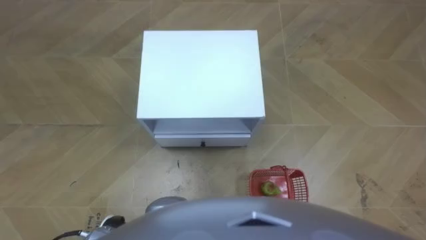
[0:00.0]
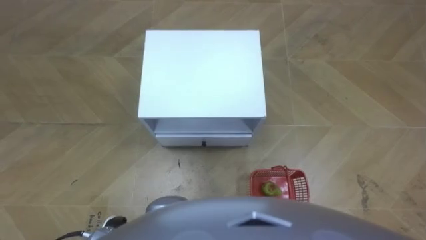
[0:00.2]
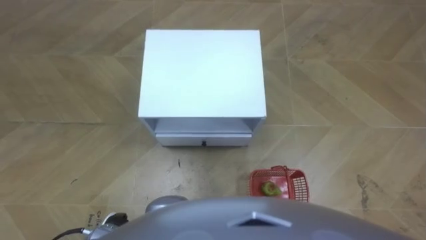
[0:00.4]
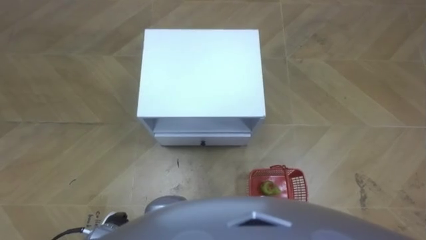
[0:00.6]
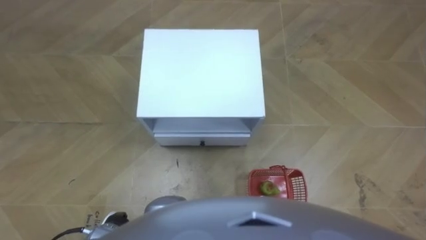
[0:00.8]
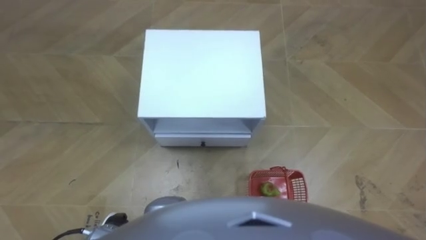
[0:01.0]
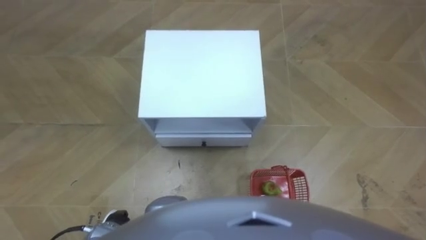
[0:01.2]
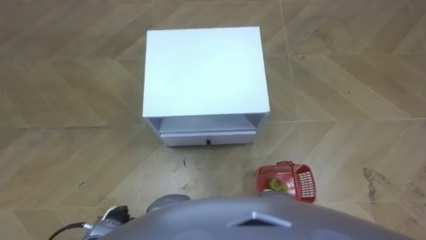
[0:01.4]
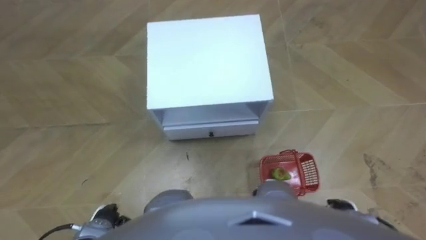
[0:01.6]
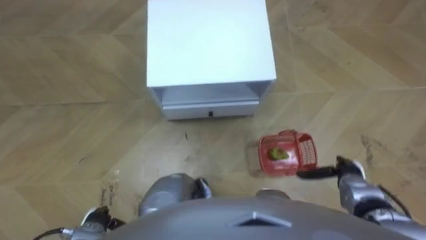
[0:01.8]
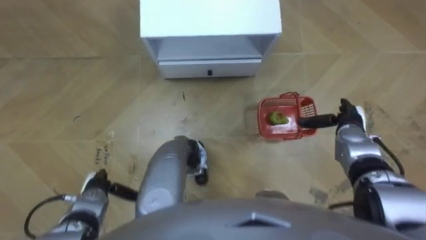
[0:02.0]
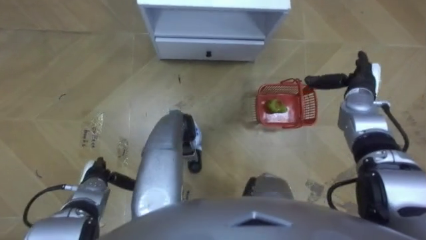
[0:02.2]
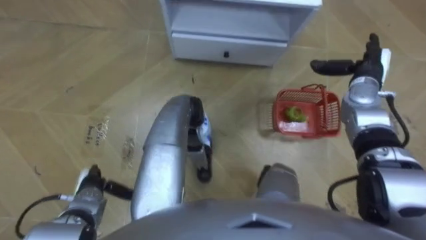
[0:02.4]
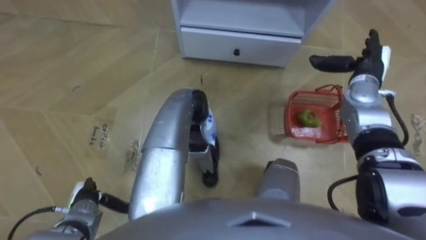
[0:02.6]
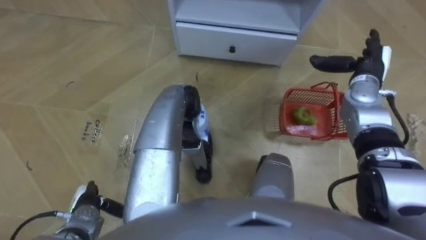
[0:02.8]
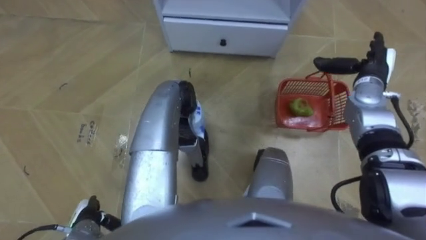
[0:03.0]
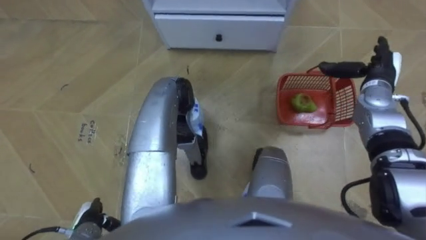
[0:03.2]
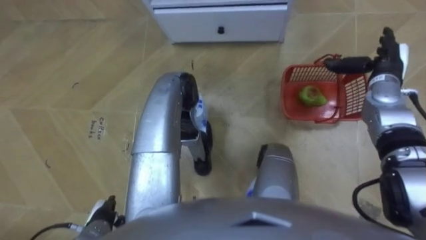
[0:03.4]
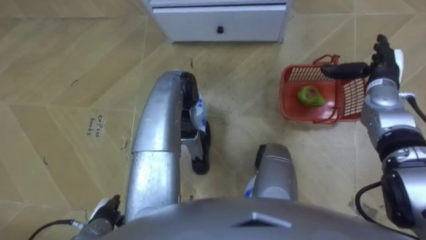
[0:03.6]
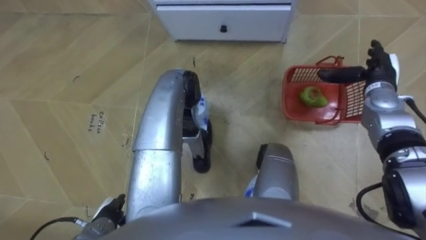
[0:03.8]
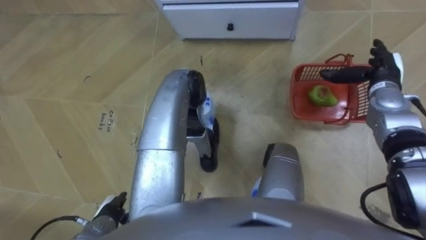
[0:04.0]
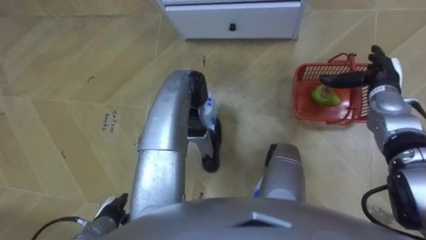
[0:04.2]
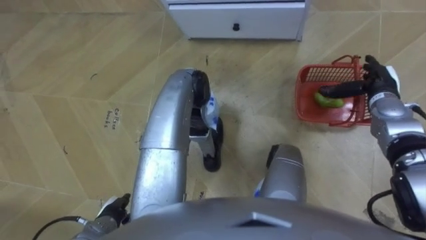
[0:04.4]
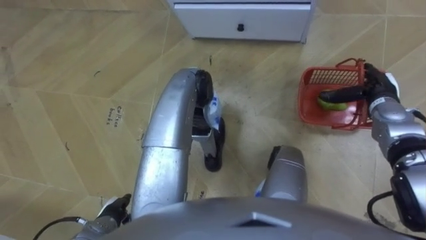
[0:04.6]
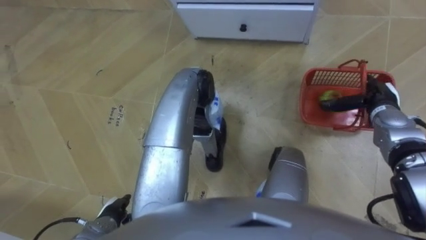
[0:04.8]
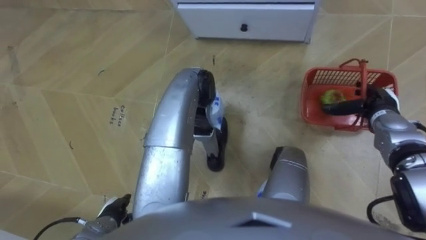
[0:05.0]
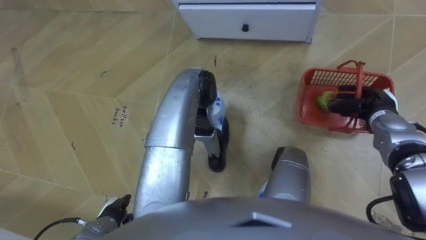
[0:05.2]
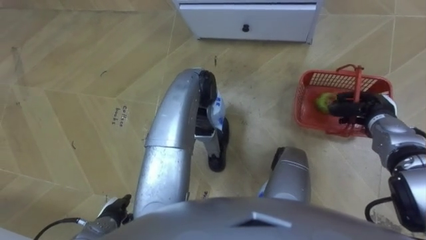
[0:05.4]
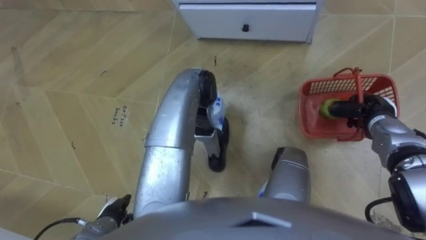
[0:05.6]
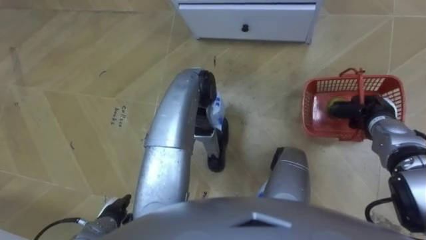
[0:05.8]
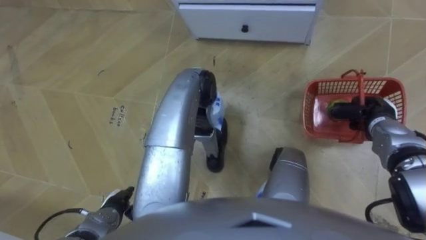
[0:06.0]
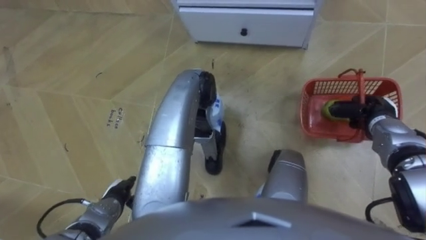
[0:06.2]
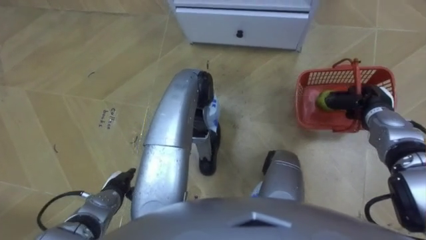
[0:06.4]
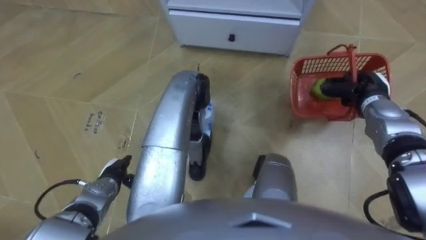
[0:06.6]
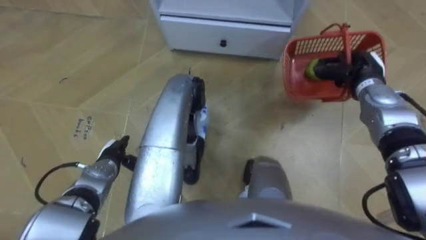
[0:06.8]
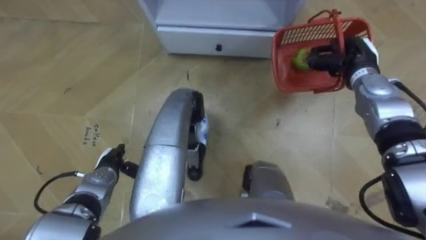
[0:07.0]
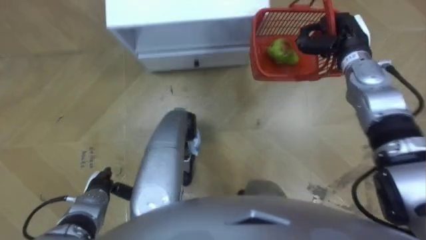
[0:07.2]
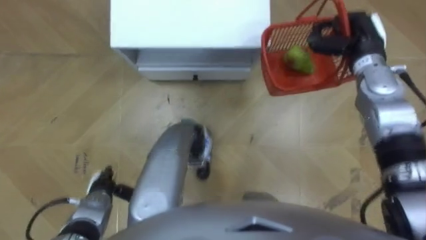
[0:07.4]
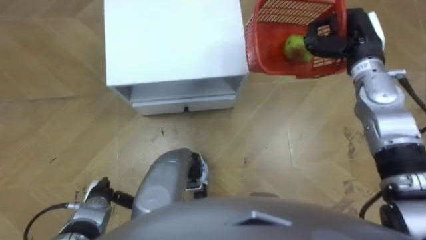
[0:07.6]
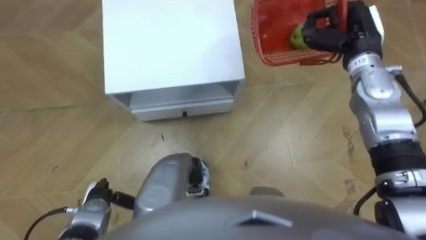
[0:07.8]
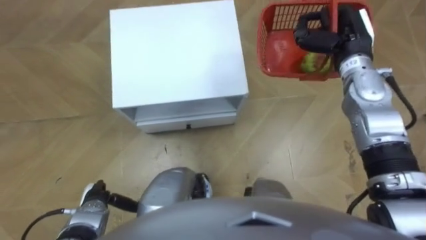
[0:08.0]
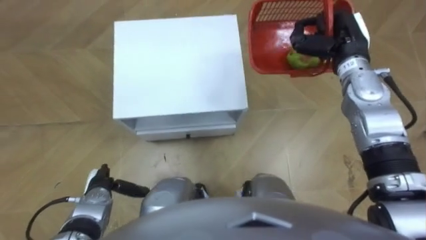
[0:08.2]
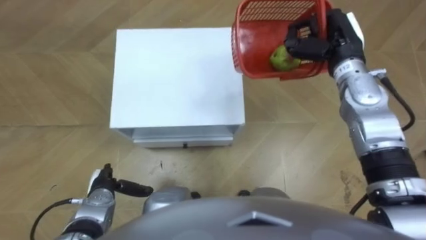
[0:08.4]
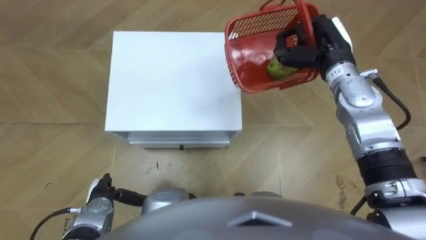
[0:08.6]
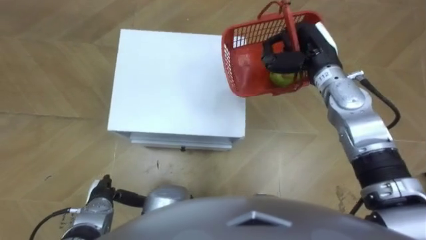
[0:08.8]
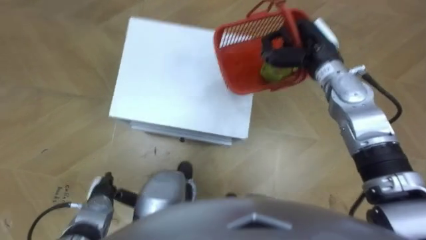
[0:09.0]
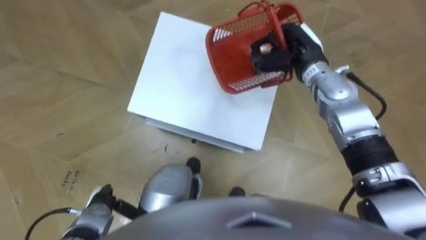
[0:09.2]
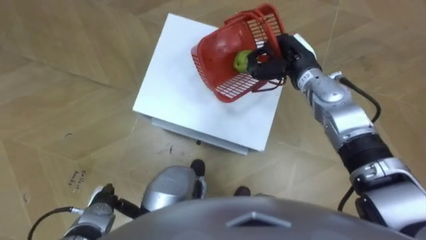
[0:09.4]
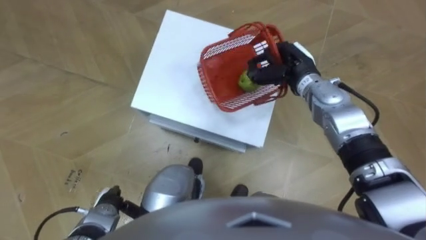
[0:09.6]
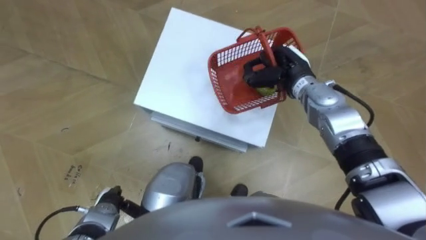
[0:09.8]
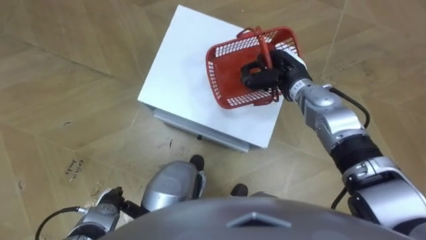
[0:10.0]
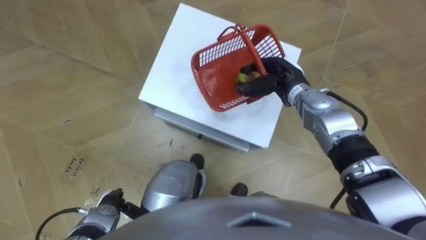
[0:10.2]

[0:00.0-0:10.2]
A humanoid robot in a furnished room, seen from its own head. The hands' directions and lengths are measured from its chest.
Task of the whole recording: Pick up the fruit basket from the floor and place it on the cabinet.
1.4 to 3.0 s: The left hand moves to the left, roughly 5 cm, and travels forward and back again, approximately 10 cm each way. Meanwhile the right hand travels forward and upward by approximately 35 cm.
3.0 to 4.4 s: The left hand moves about 5 cm.
4.4 to 5.8 s: The right hand shifts some 5 cm backward, and closes its fingers.
5.8 to 7.2 s: The right hand shifts about 20 cm forward, upward and to the left; the left hand is displaced forward by about 5 cm.
7.2 to 8.8 s: The right hand goes some 5 cm to the left.
8.8 to 10.2 s: The right hand heads downward, covering some 10 cm.

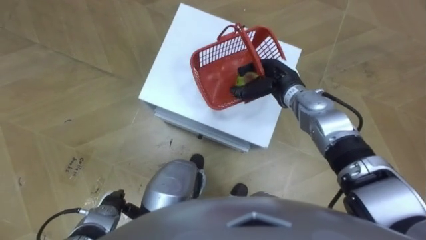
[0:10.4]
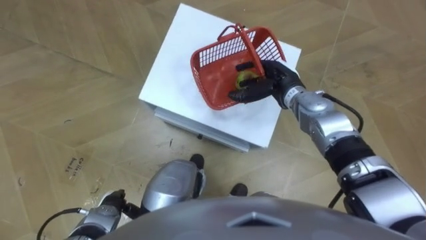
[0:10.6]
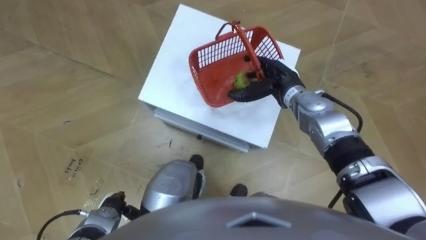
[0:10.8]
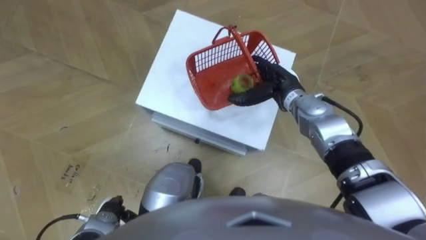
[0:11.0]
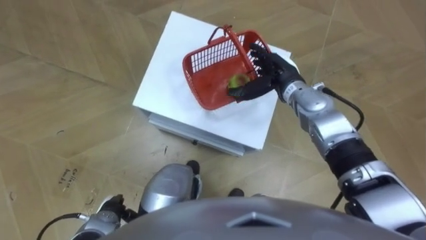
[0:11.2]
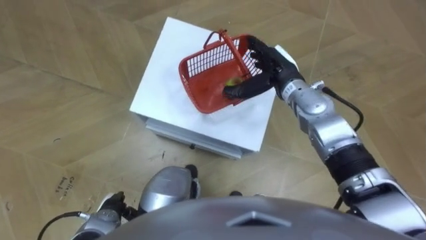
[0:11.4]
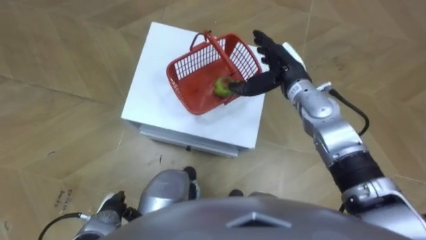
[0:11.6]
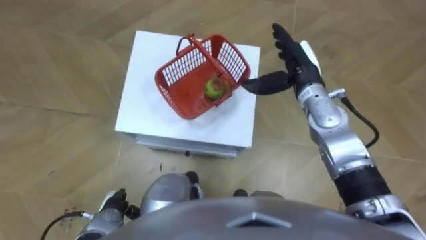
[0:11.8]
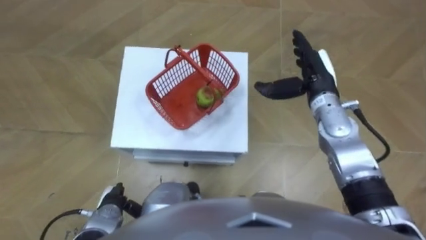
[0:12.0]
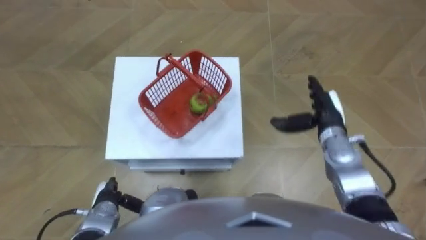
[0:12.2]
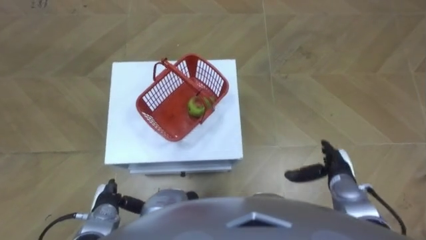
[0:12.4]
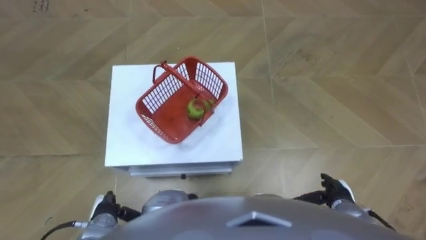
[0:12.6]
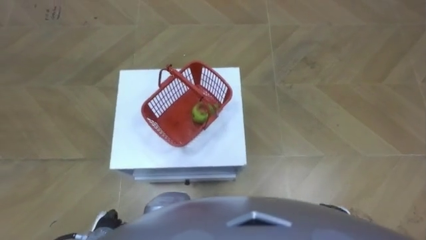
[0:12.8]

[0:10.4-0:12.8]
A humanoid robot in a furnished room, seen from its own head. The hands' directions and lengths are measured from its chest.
Task of the whole recording: Pick up the fruit basket from the floor and place it on the cabinet.
10.4 to 11.6 s: The right hand opens its fingers.
11.6 to 12.8 s: The right hand travels backward, downward and to the right by approximately 35 cm.

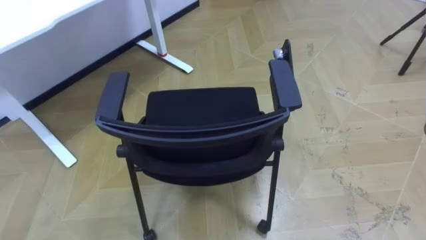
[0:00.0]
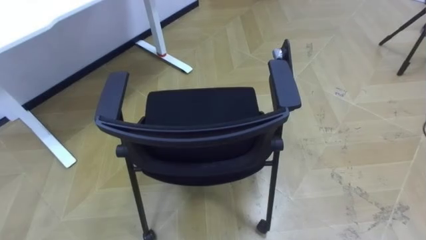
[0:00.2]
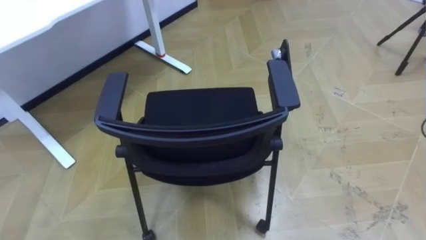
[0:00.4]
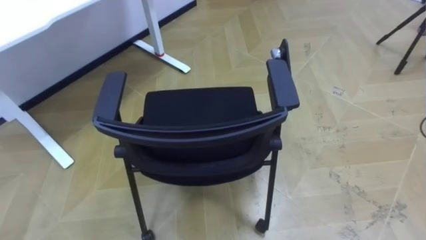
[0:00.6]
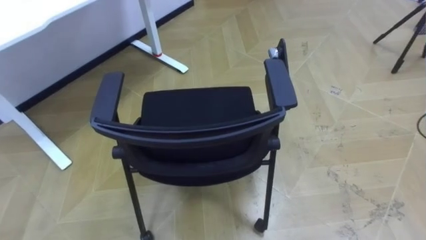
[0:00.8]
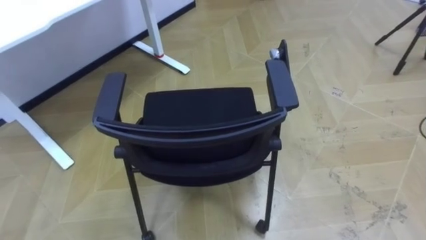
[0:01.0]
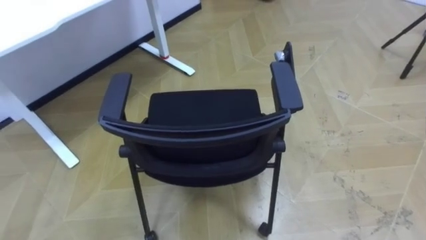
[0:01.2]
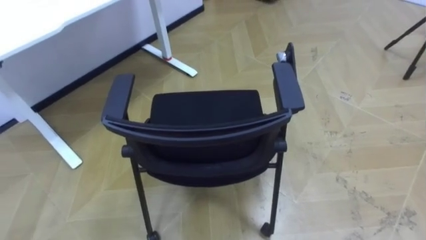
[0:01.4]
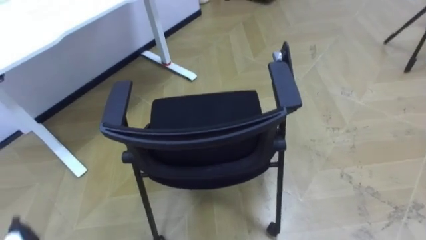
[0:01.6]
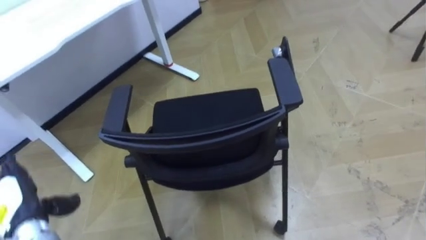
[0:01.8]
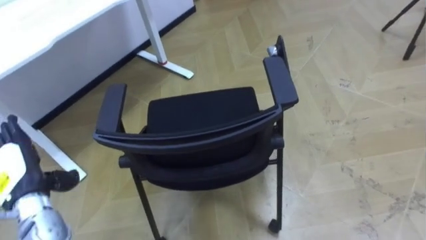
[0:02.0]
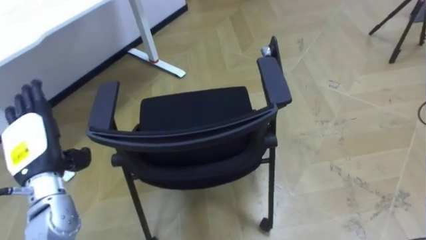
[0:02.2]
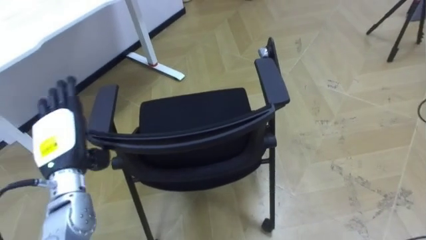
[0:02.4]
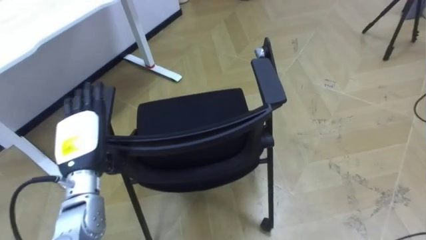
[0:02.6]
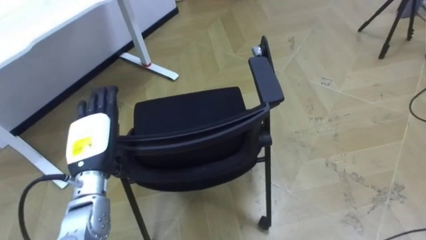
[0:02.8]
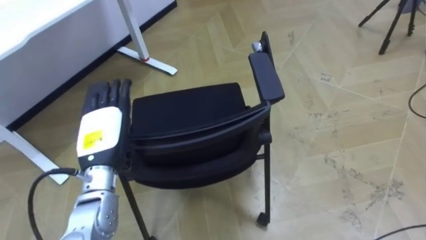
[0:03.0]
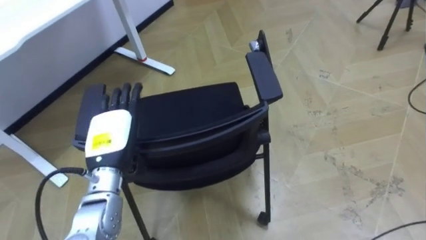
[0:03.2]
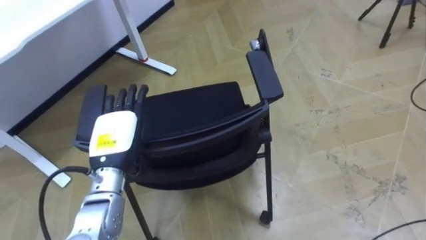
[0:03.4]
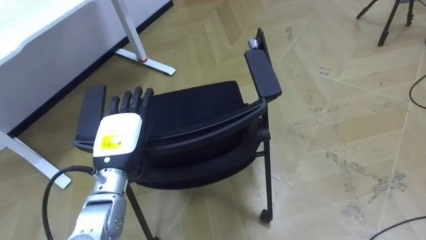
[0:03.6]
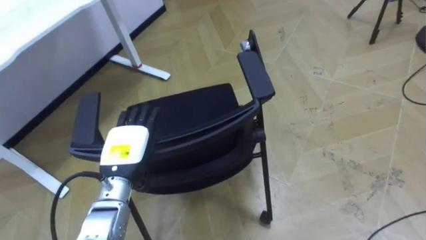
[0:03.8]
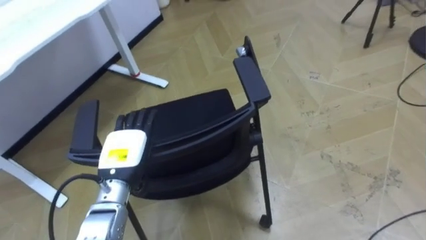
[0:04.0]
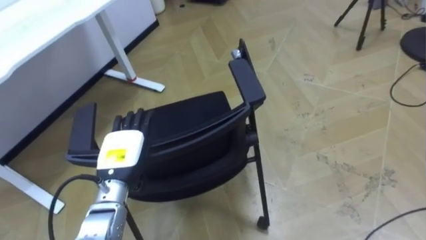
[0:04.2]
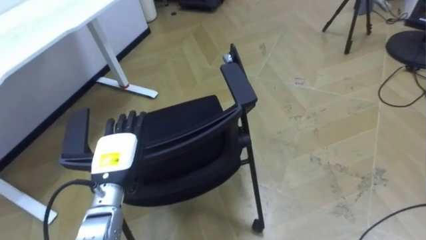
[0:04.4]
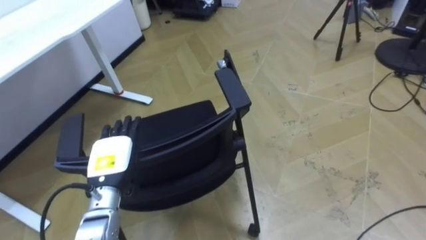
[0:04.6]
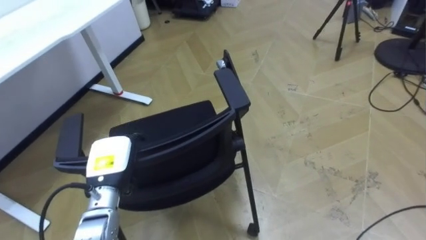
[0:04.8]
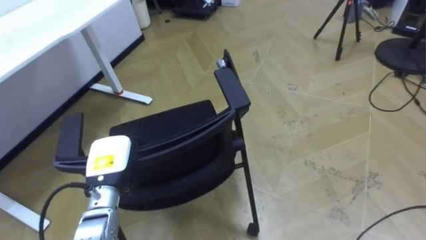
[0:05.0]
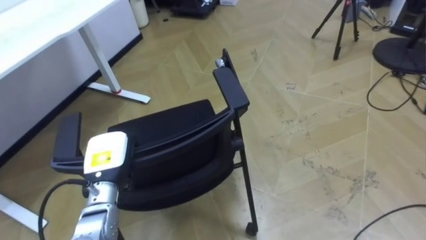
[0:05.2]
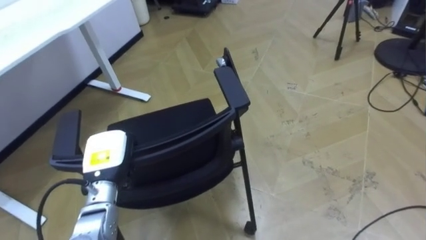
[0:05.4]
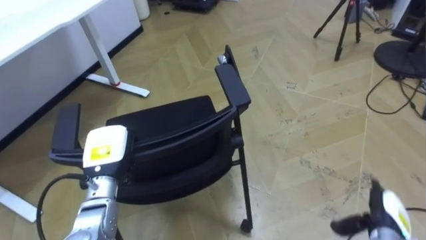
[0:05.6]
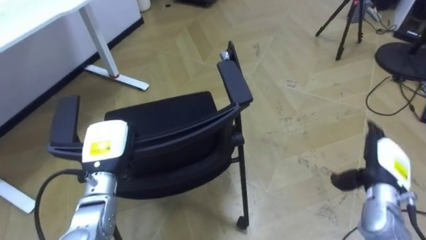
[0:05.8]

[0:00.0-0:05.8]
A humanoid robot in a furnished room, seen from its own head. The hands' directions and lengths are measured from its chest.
Task of the whole recording: Push the chair under the table.
2.8 to 4.4 s: The left hand is displaced downward by some 5 cm.
4.4 to 5.8 s: The left hand closes.
